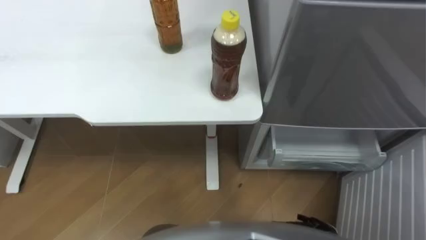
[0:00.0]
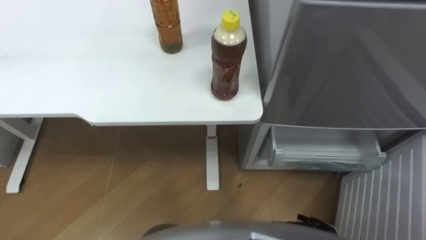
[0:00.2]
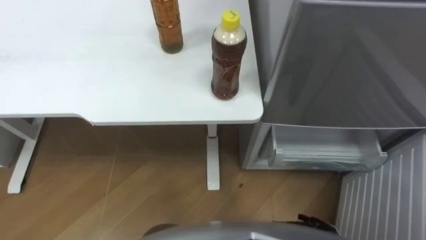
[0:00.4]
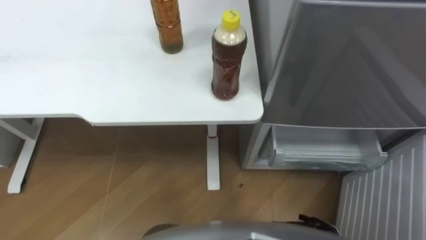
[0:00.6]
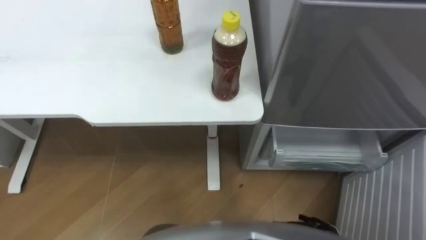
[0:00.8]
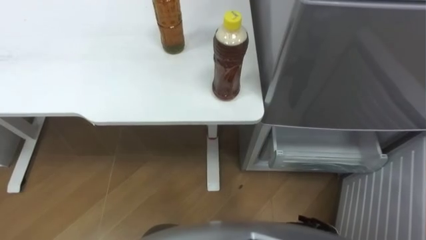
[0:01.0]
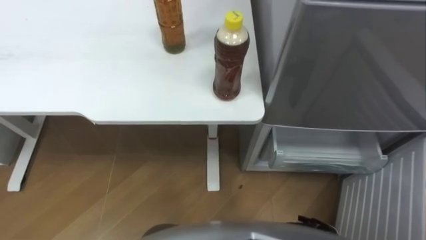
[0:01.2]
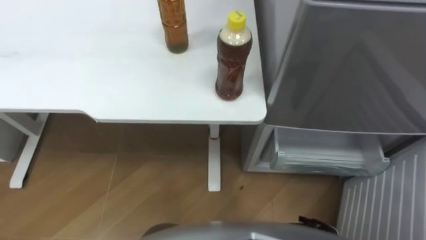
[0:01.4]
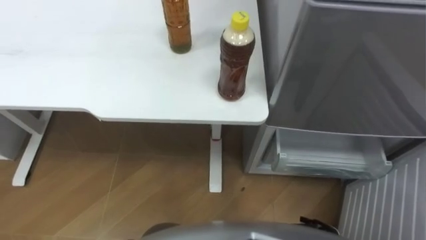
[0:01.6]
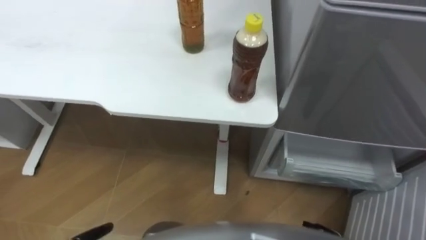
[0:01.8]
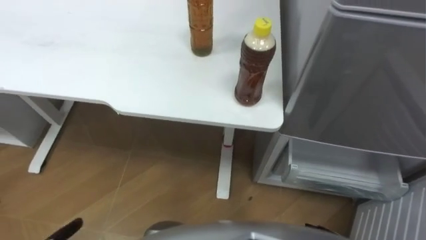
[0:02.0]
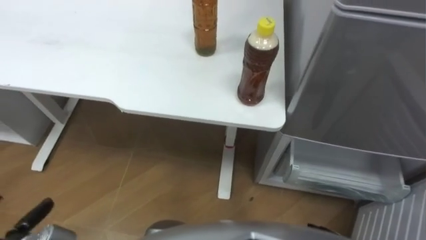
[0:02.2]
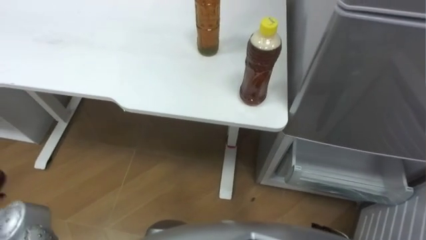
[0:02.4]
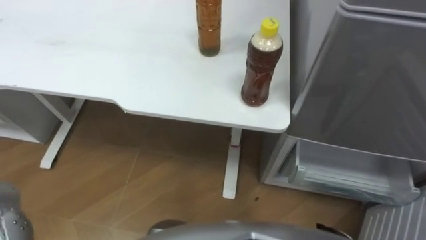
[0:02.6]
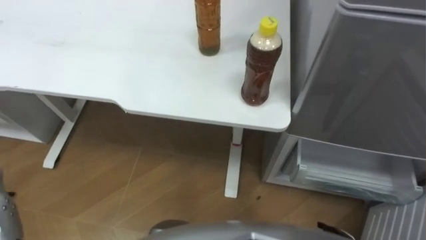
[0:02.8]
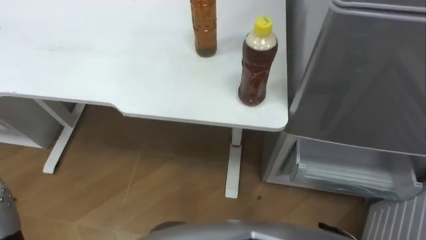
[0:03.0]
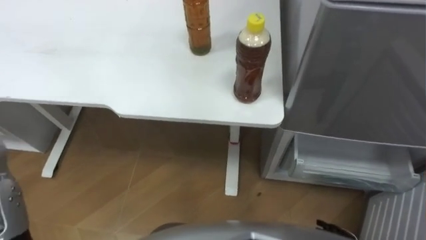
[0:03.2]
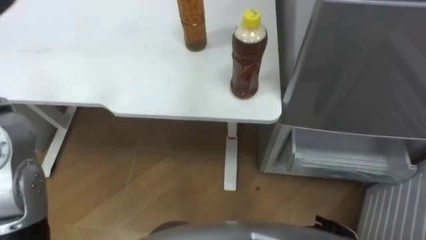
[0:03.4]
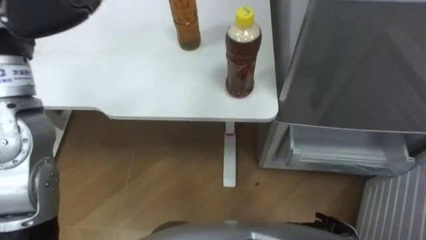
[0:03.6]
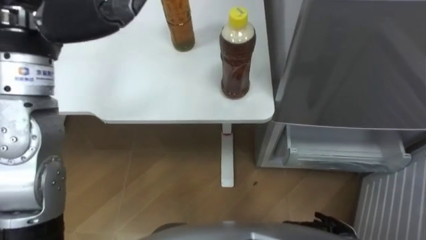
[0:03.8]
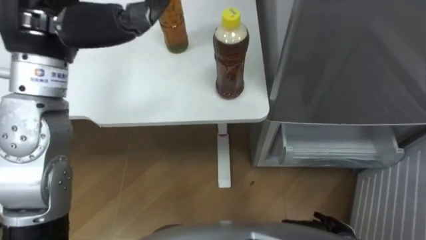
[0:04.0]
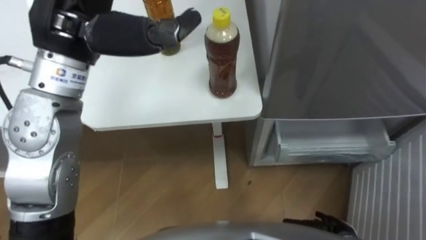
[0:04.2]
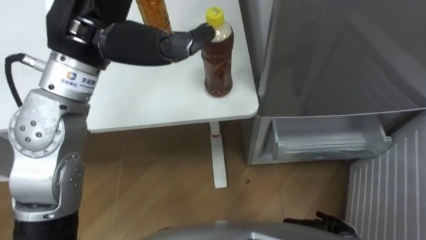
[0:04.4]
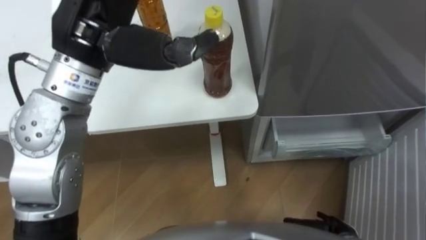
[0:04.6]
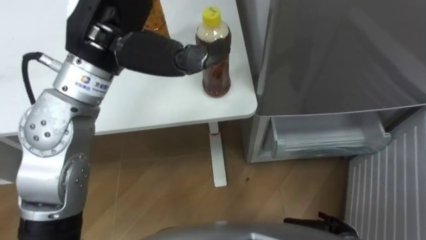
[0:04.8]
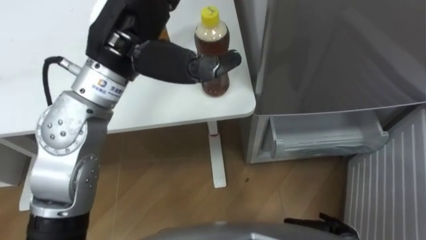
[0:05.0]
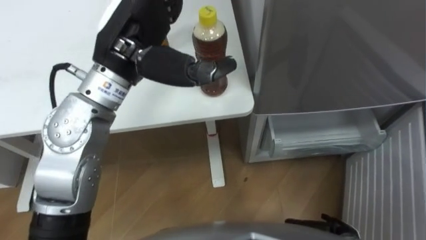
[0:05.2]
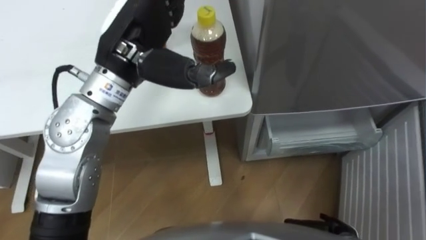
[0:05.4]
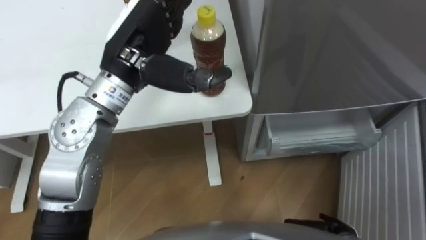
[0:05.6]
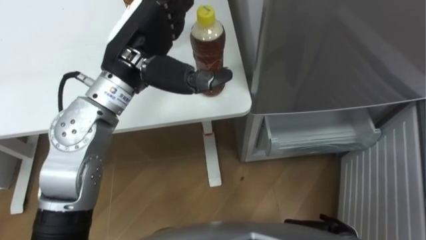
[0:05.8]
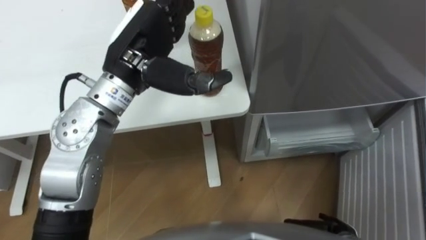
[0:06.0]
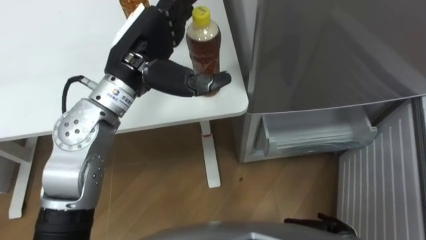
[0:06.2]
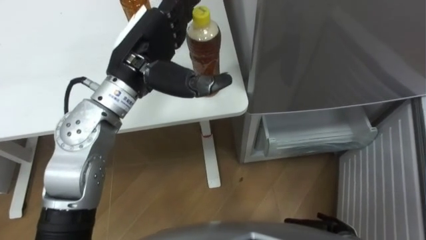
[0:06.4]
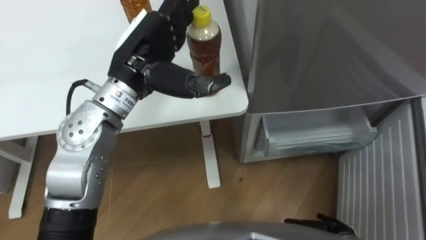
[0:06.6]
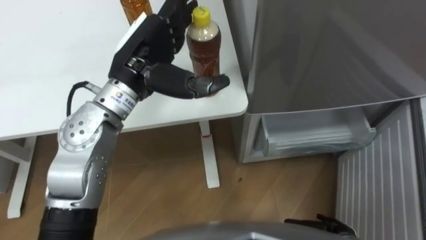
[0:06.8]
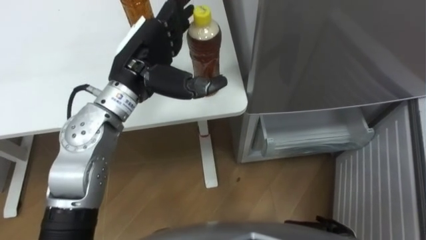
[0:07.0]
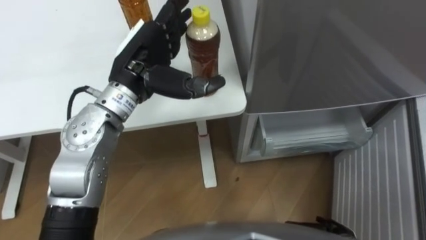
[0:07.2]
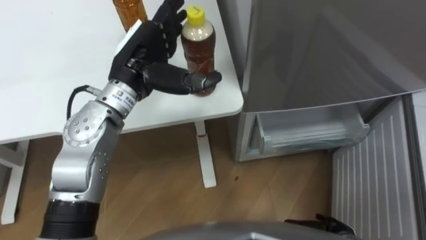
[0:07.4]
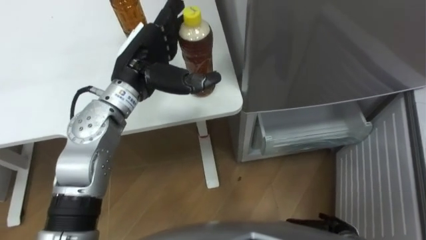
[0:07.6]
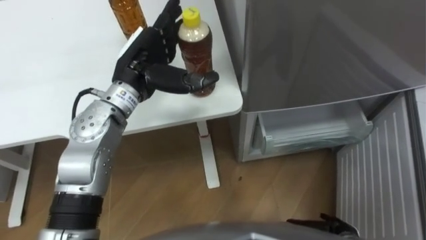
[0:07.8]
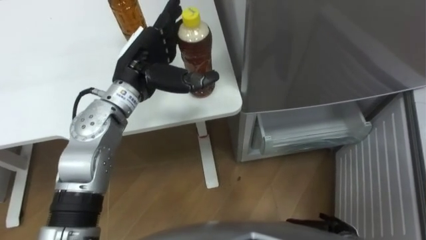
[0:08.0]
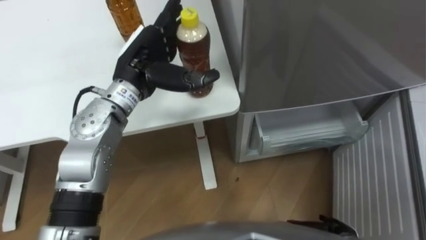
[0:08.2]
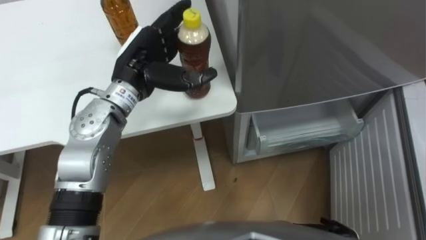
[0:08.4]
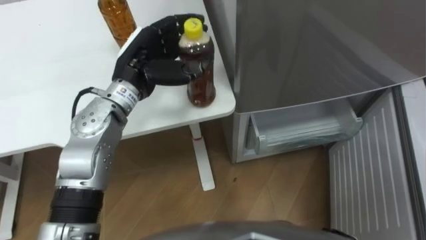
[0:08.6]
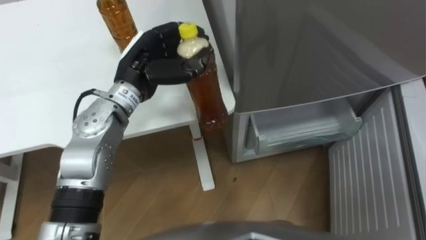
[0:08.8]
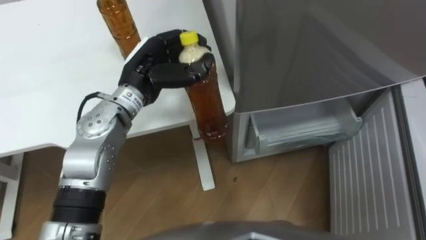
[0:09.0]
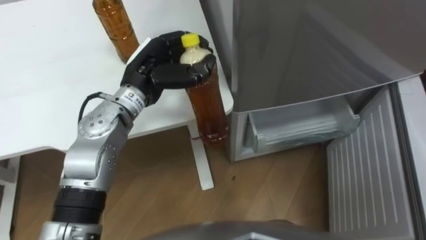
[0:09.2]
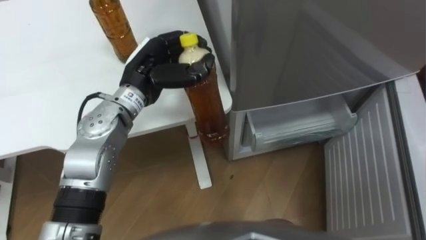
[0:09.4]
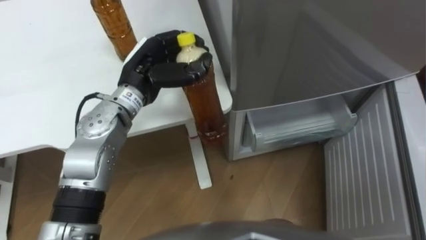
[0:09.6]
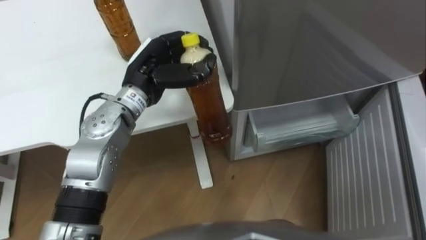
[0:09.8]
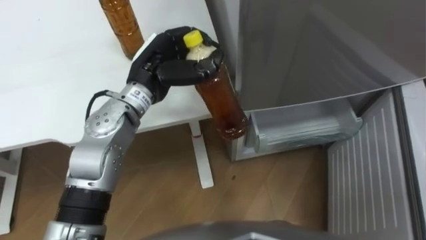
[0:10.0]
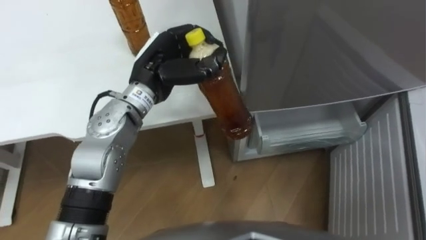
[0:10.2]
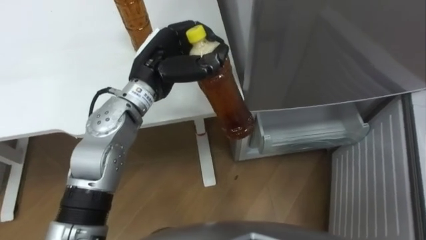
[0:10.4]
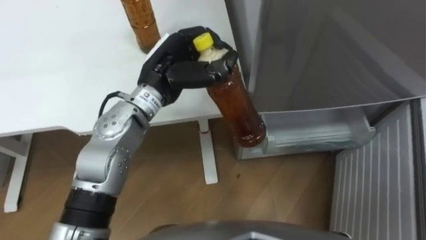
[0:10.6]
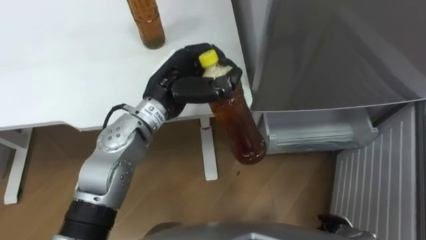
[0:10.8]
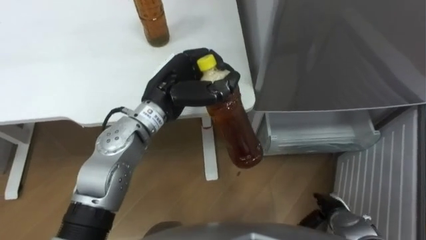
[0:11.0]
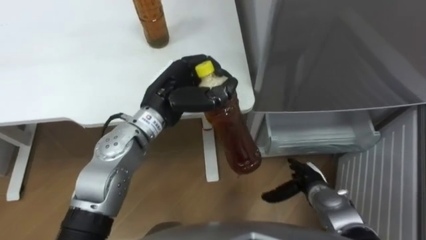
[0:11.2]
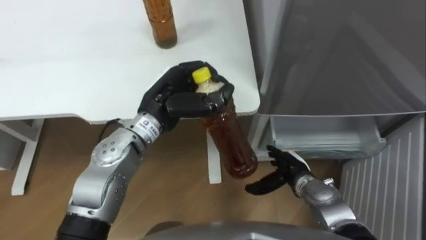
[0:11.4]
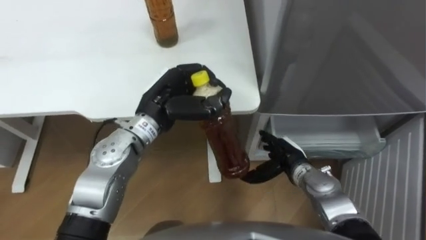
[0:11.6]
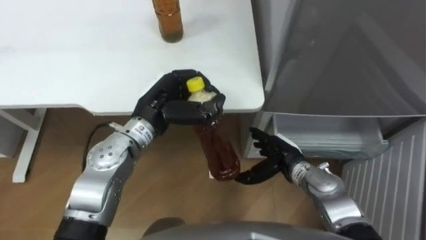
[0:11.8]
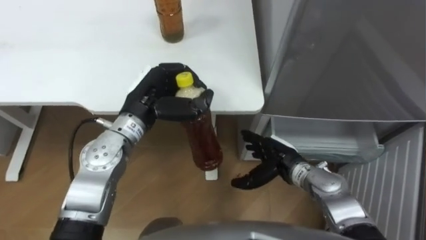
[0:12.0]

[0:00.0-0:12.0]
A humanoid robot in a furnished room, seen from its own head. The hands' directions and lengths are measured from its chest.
Task of the whole recording: Place the drink on the table on the bottom shelf of the refrigerator, then close the drawer and the refrigerator door.
0:04.4 to 0:06.0: The left hand goes roughly 10 cm downward.
0:06.0 to 0:07.6: The left hand heads downward, covering some 5 cm.
0:07.6 to 0:09.0: The left hand closes up.
0:10.4 to 0:12.0: The left hand shifts approximately 5 cm downward.

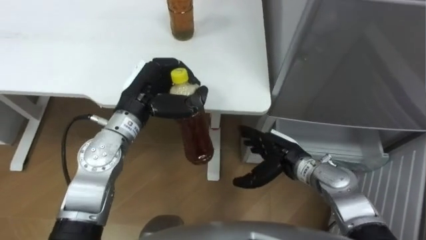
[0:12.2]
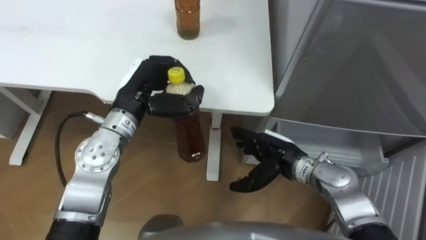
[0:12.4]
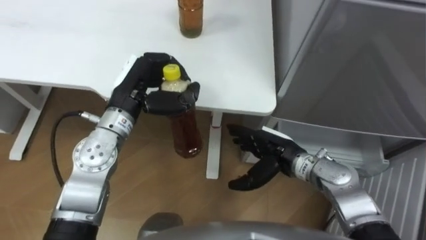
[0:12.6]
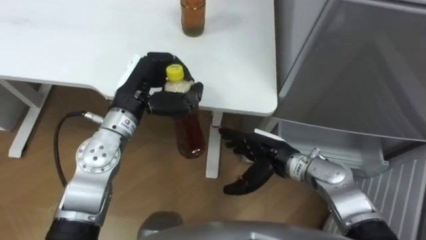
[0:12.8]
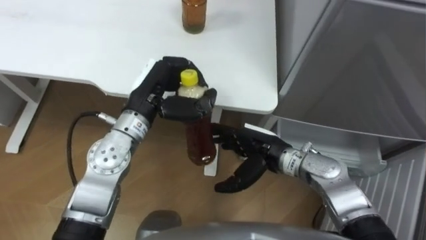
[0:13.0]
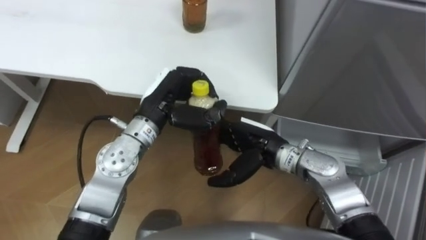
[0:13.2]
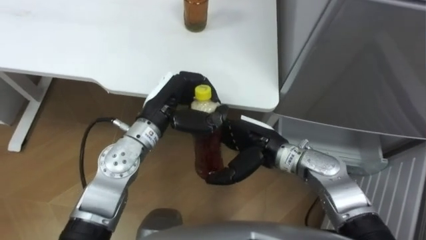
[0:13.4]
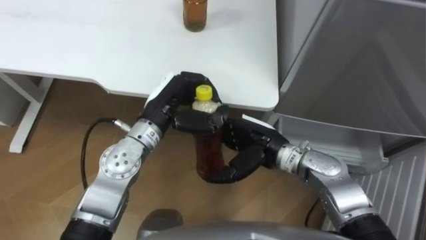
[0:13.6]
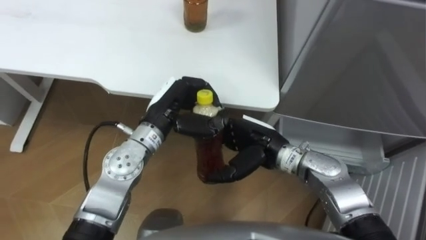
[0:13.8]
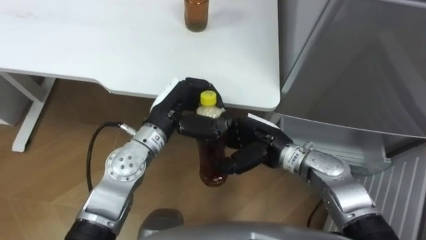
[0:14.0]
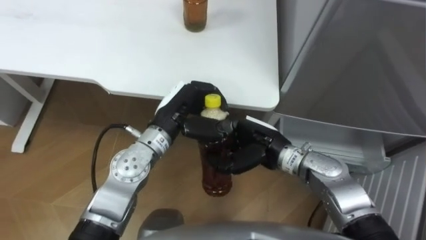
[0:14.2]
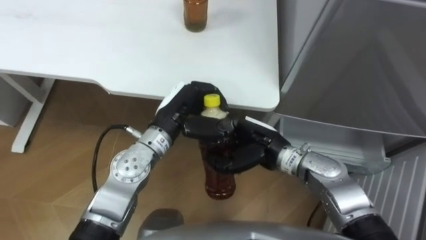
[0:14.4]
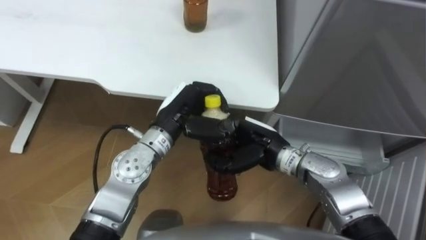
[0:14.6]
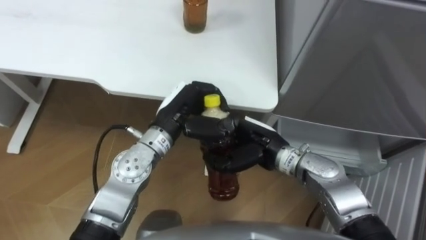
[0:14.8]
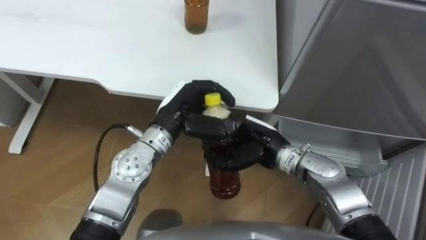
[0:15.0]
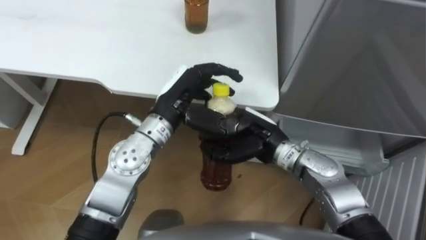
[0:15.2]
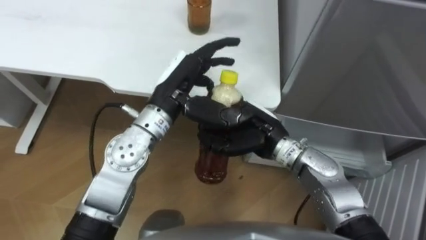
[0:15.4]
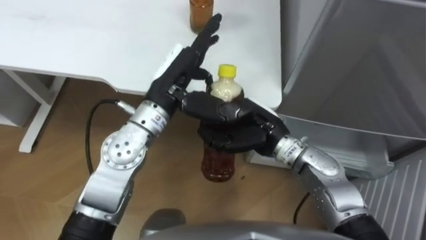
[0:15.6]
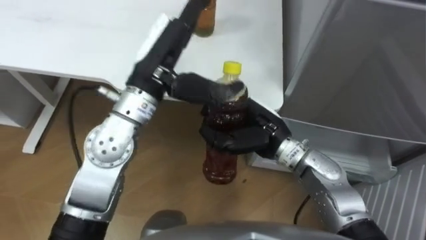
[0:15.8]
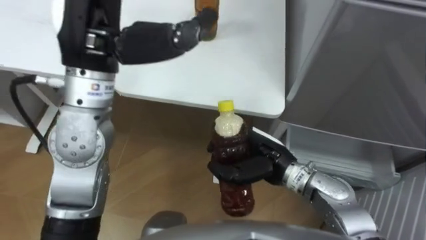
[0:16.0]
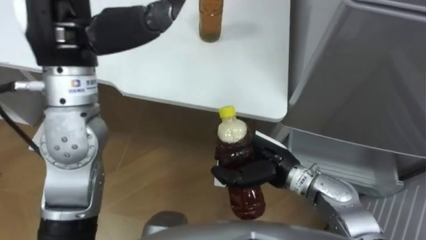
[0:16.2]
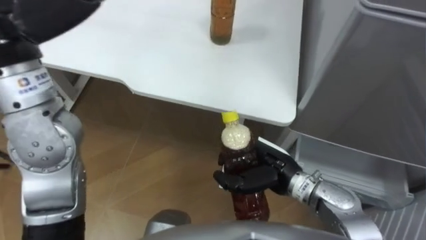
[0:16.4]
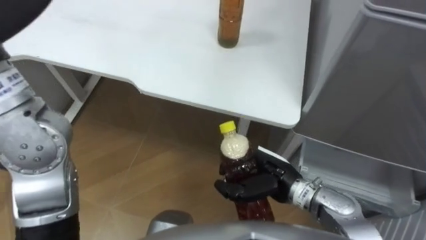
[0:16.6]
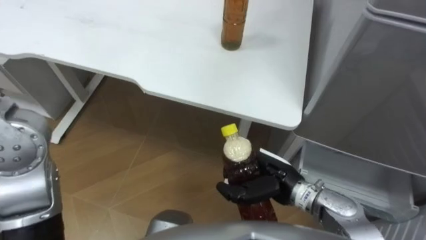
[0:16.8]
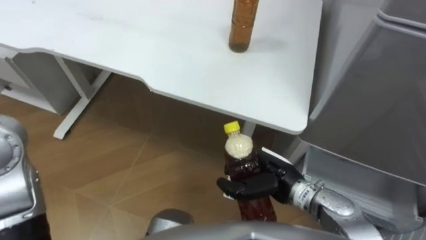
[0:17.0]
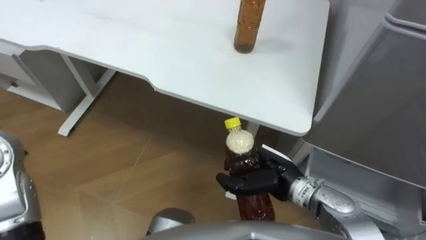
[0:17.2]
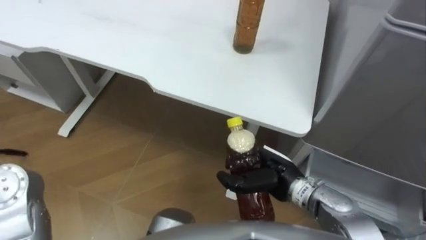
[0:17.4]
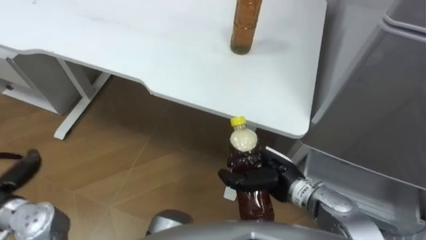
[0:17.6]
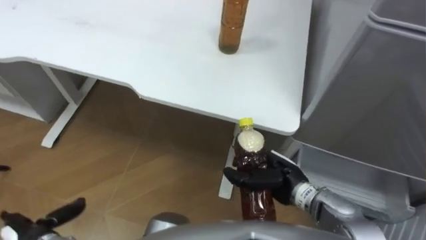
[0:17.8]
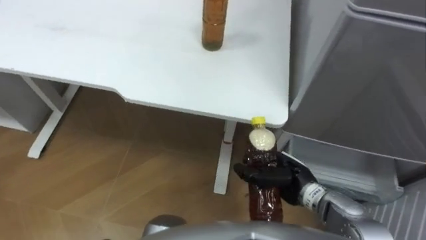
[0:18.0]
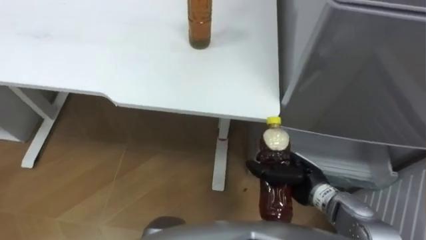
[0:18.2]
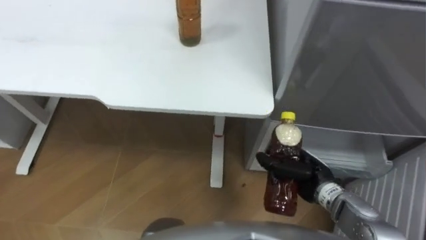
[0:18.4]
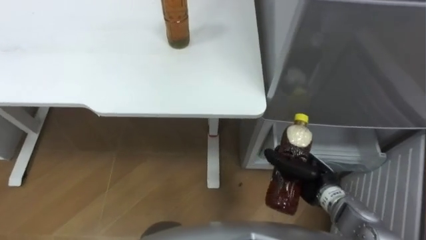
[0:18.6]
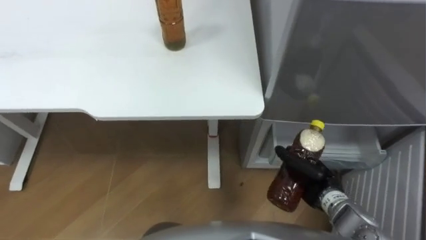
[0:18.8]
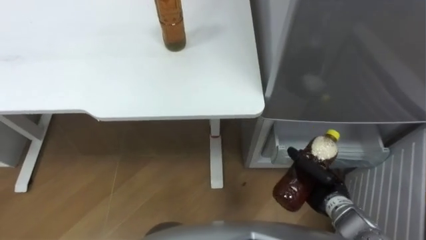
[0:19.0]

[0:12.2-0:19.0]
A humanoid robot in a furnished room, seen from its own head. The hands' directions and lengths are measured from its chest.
Task of the whole recording: Place the drink on the table on the bottom shelf of the refrigerator, then close the drawer and the refrigerator door.
0:12.2 to 0:13.6: The right hand shifts roughly 10 cm to the left and upward; the left hand moves about 5 cm.
0:13.6 to 0:15.0: The right hand closes.
0:15.0 to 0:16.2: The left hand moves upward and to the left, some 25 cm, and opens.
0:17.6 to 0:19.0: The right hand shifts some 15 cm to the right and downward.
